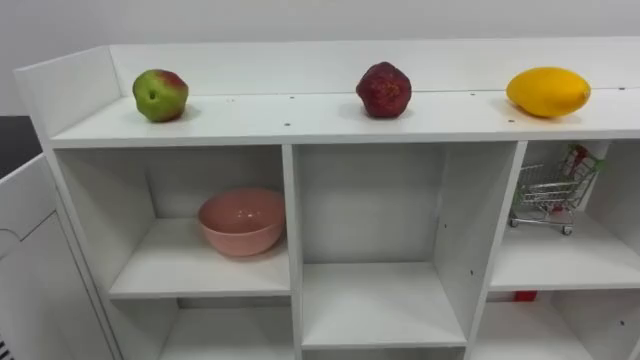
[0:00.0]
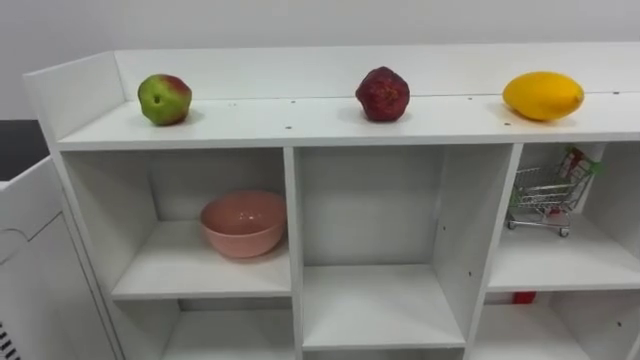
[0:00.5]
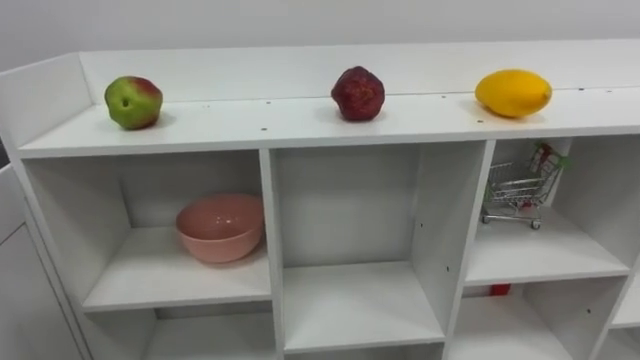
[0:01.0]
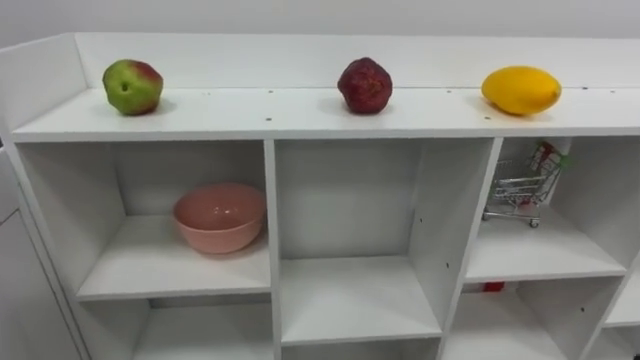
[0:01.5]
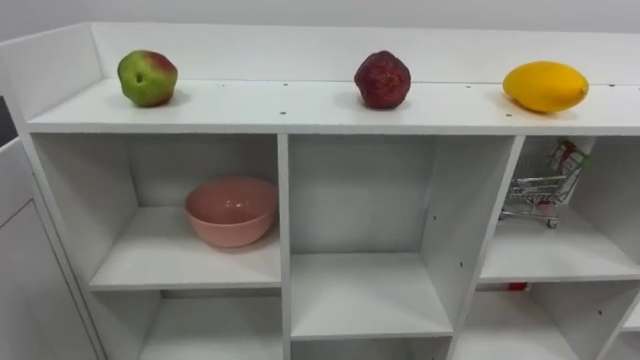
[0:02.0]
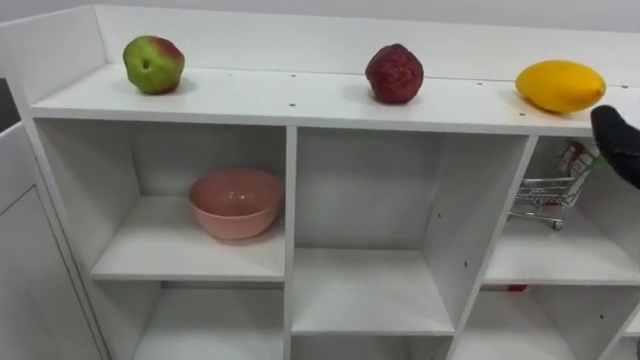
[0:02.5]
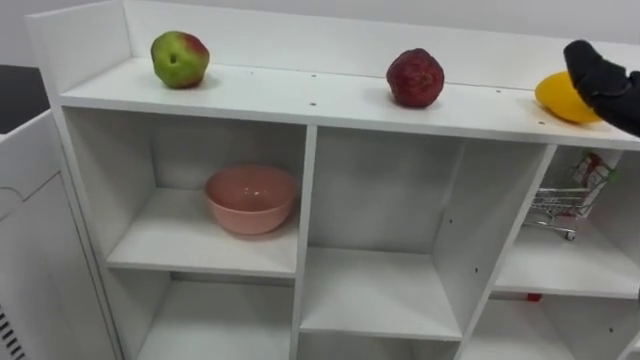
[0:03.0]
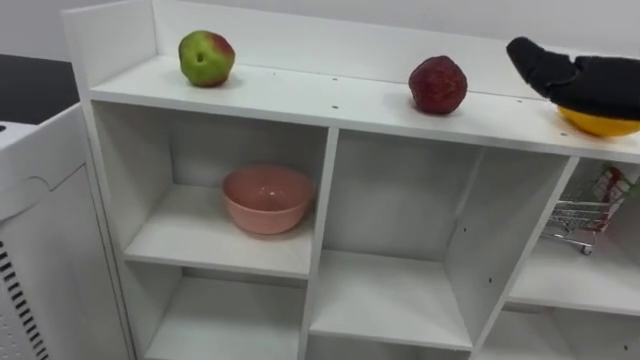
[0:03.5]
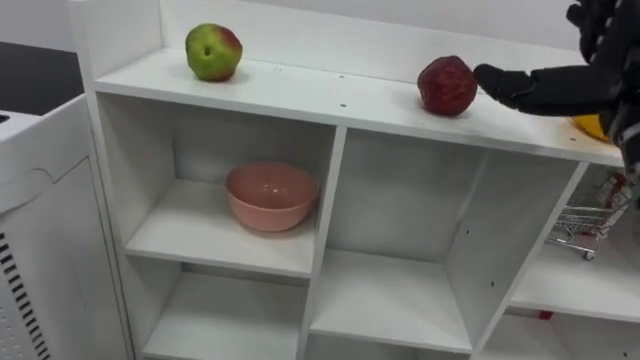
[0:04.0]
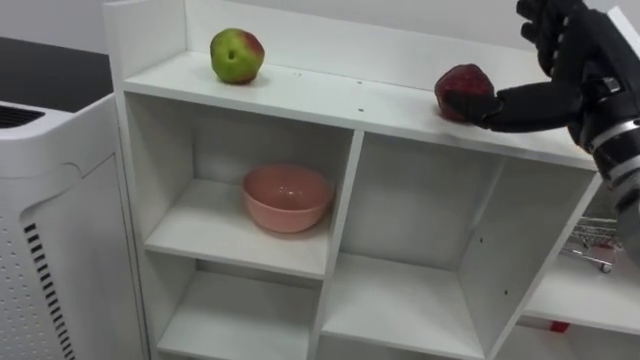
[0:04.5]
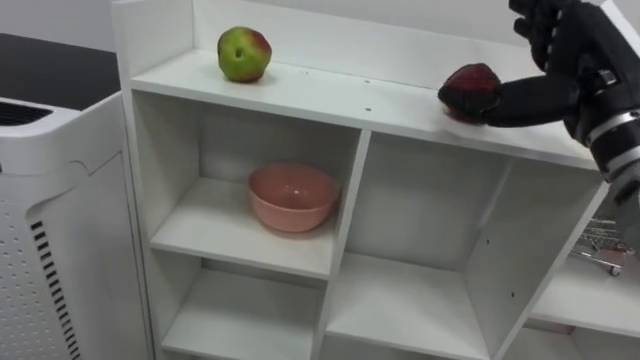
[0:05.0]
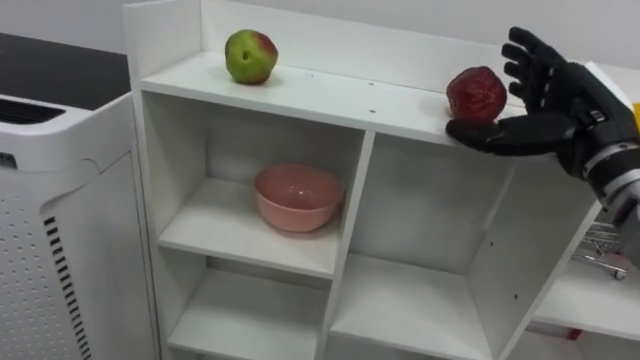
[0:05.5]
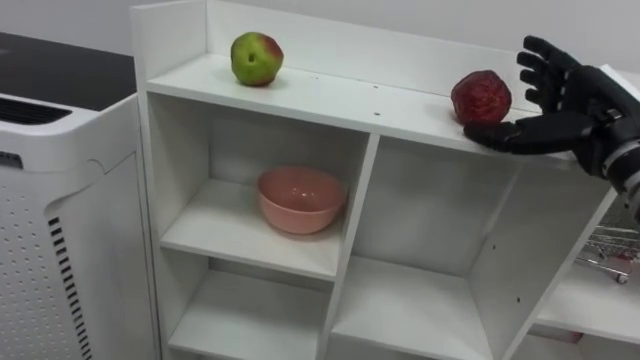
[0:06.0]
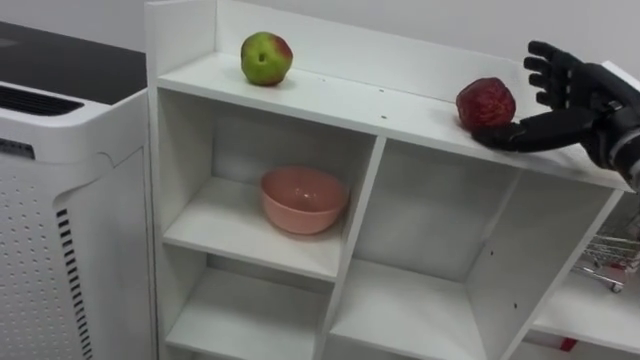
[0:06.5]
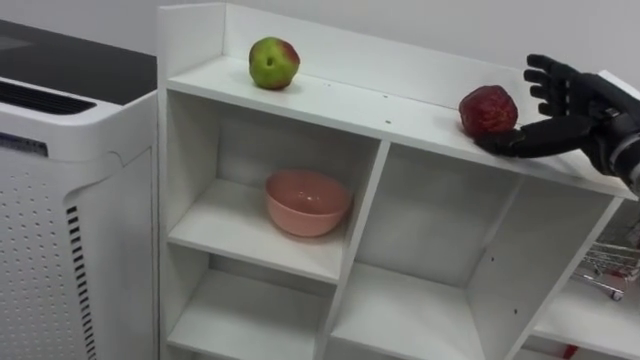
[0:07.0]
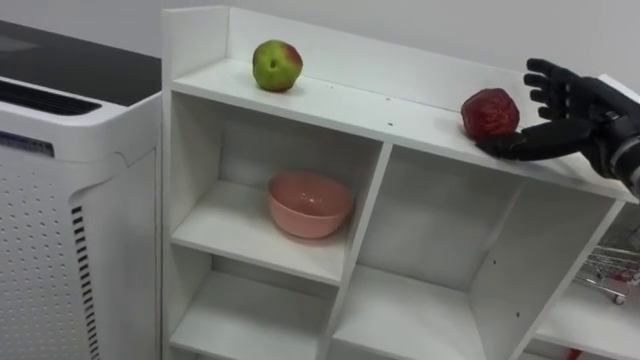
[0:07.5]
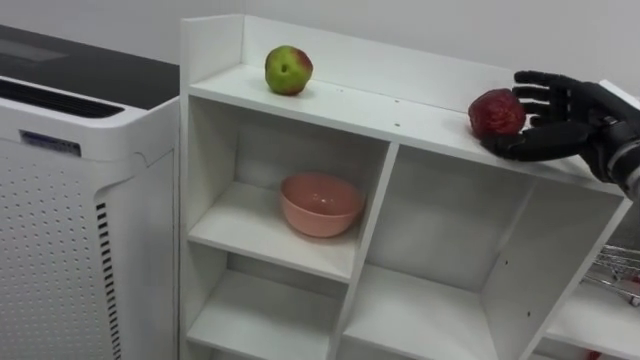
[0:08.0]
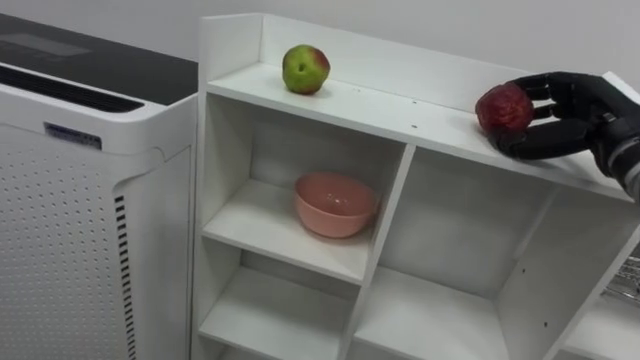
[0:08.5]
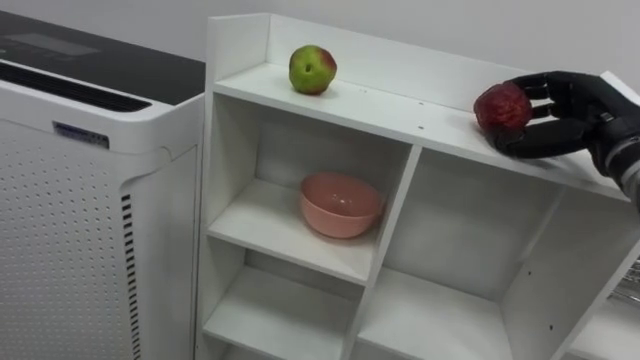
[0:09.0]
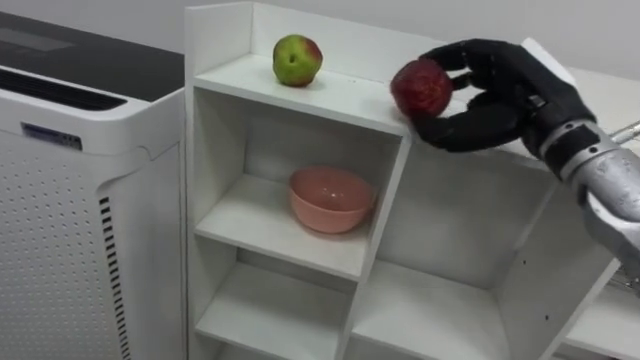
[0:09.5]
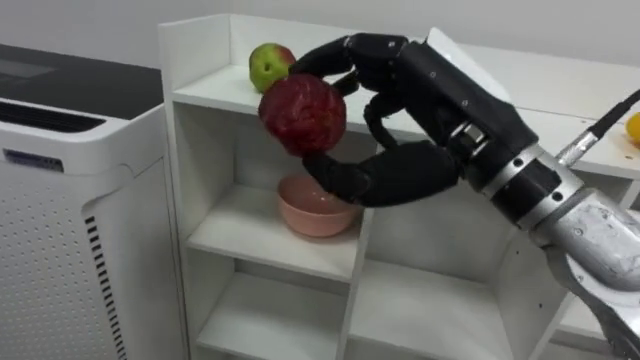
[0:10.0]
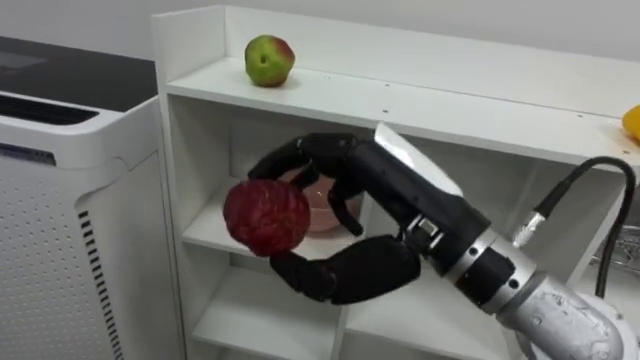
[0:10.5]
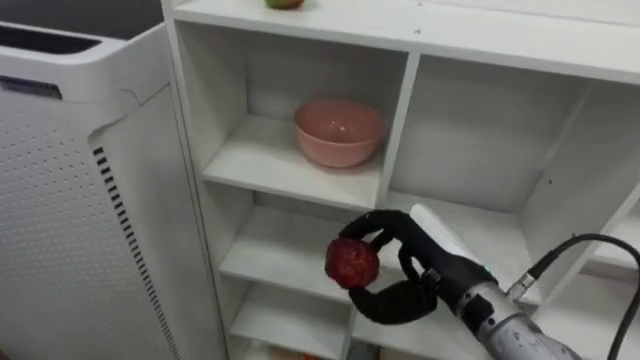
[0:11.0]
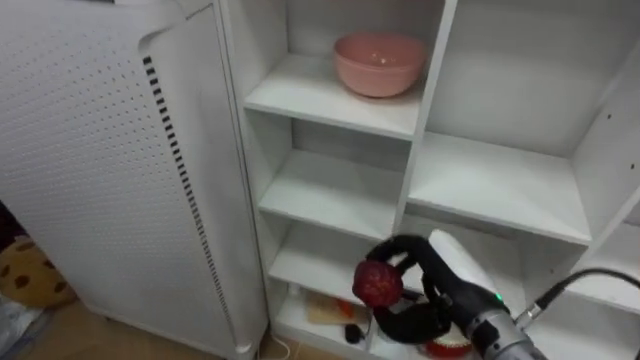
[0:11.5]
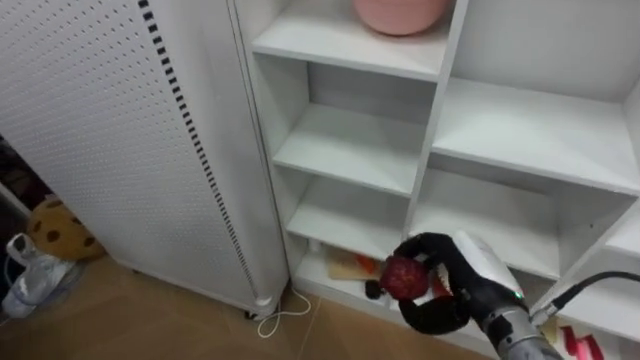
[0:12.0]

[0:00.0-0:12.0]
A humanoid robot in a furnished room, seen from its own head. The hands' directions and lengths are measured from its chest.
Task of the whole recording: Put the apple in the cell in the second column from the left and the second row from the top.
0:04.0 to 0:06.0: The right hand travels downward and forward by approximately 10 cm.
0:08.0 to 0:10.0: The right hand heads to the left and backward, covering roughly 25 cm, and closes up.
0:10.0 to 0:12.0: The right hand goes roughly 25 cm downward.
